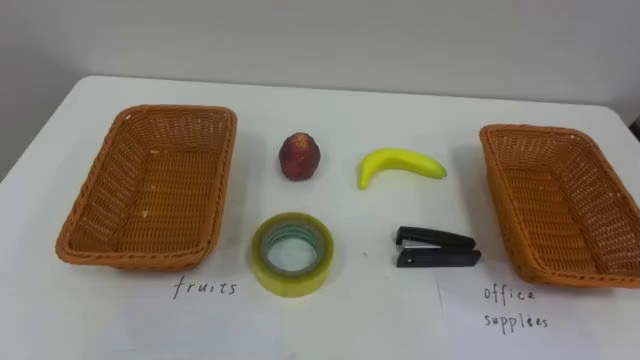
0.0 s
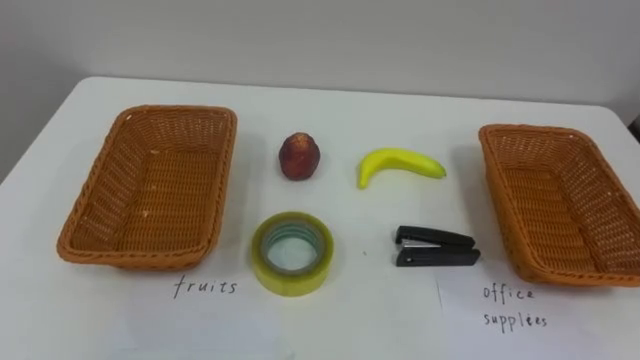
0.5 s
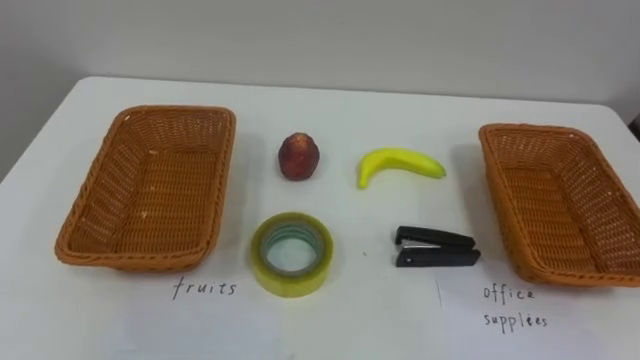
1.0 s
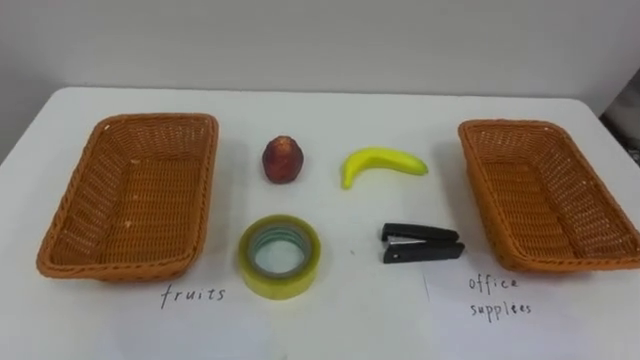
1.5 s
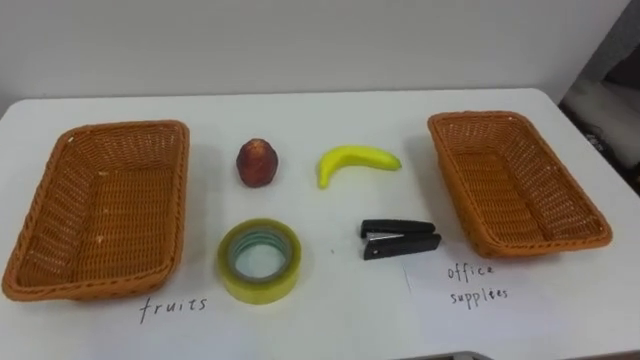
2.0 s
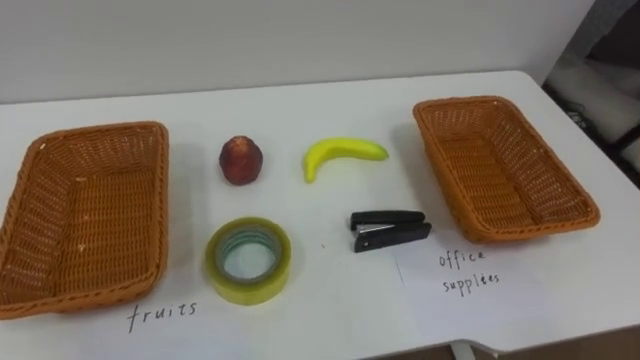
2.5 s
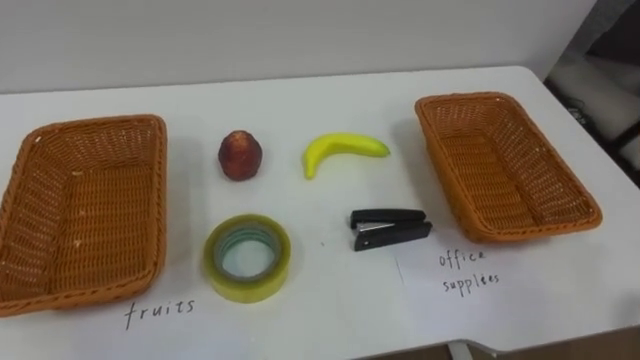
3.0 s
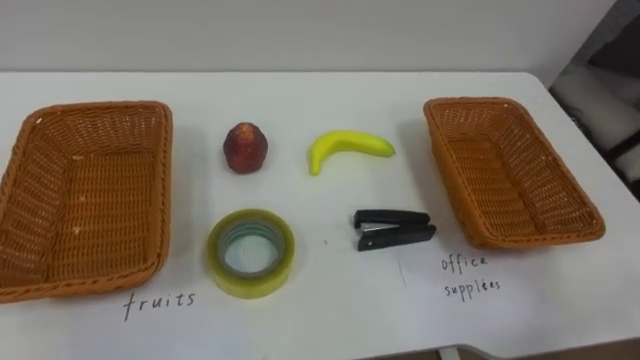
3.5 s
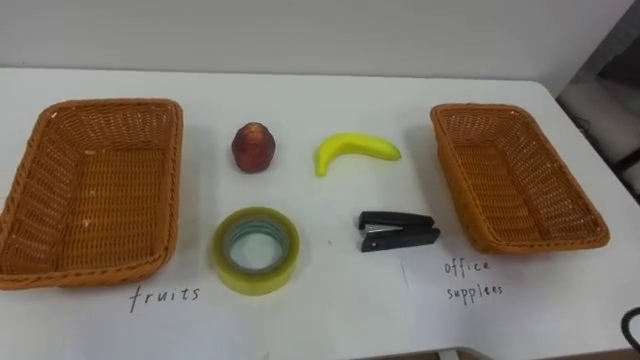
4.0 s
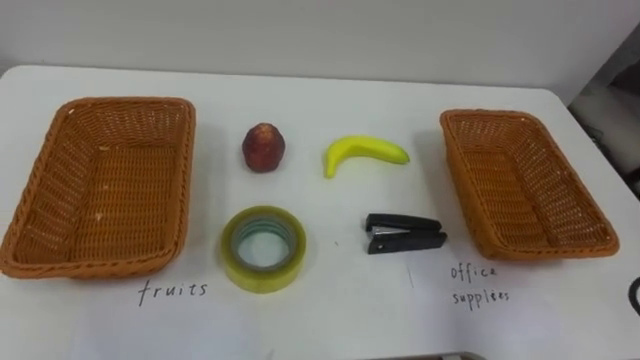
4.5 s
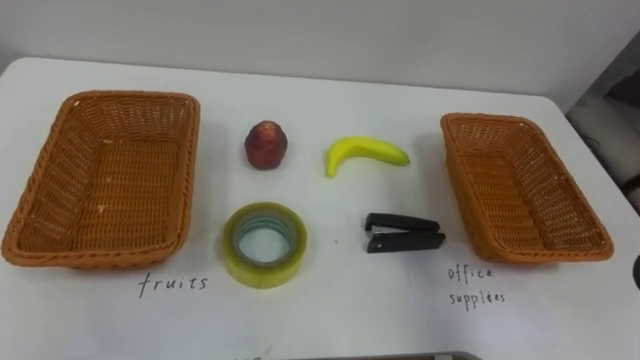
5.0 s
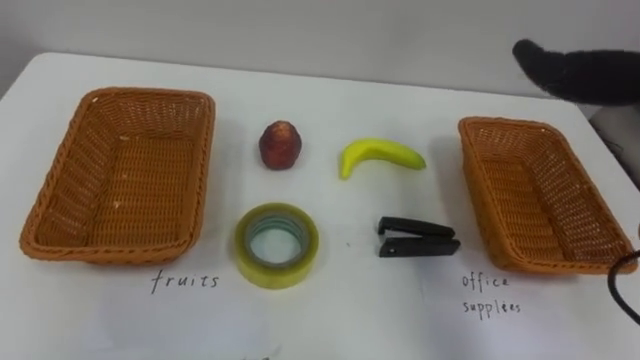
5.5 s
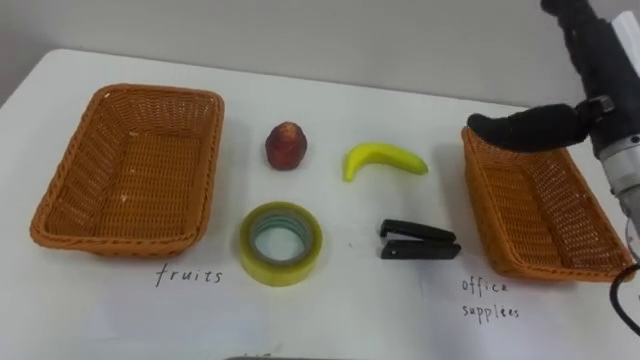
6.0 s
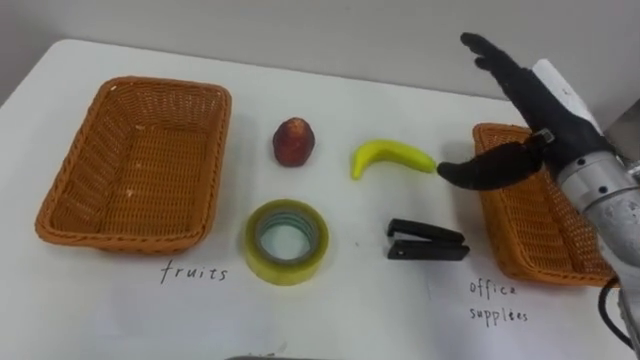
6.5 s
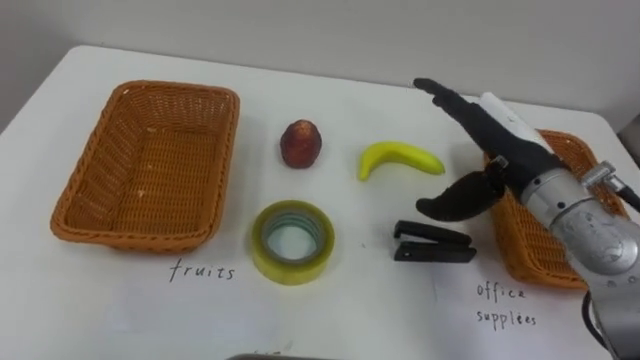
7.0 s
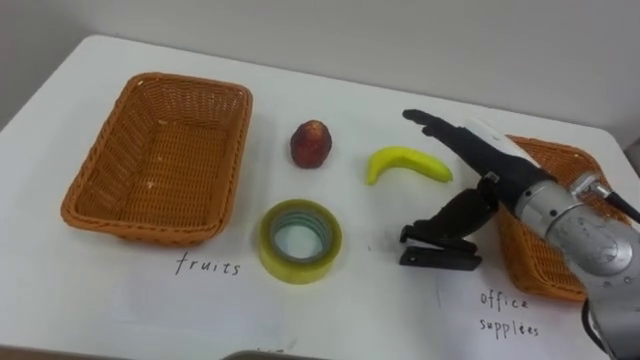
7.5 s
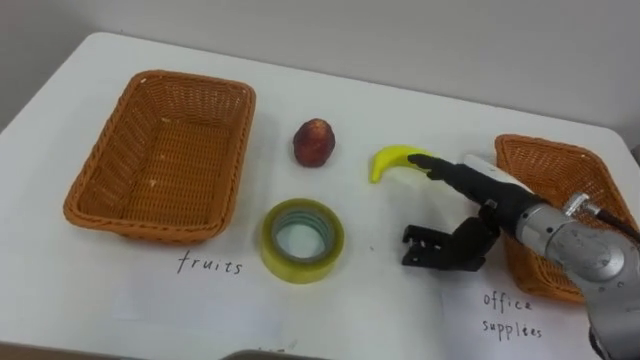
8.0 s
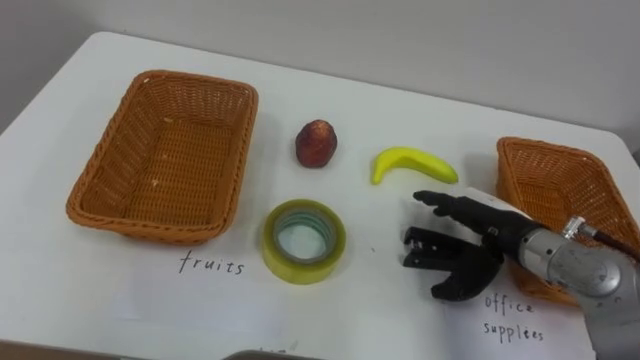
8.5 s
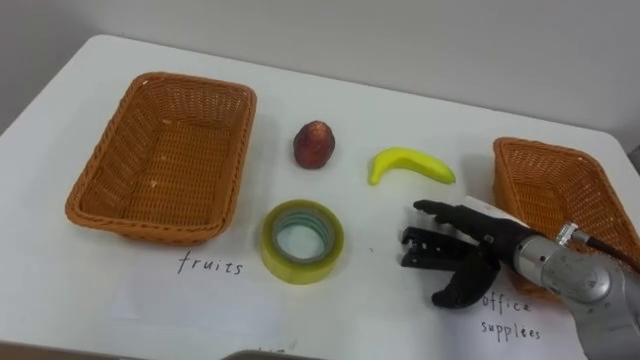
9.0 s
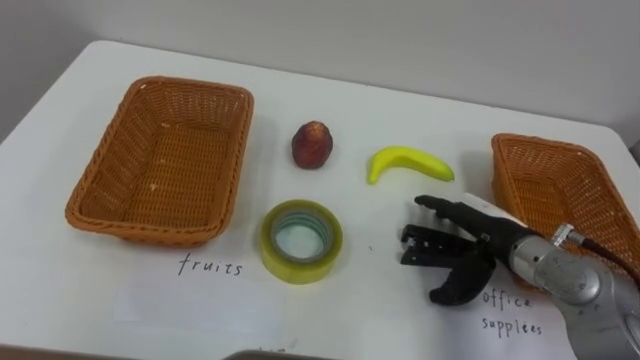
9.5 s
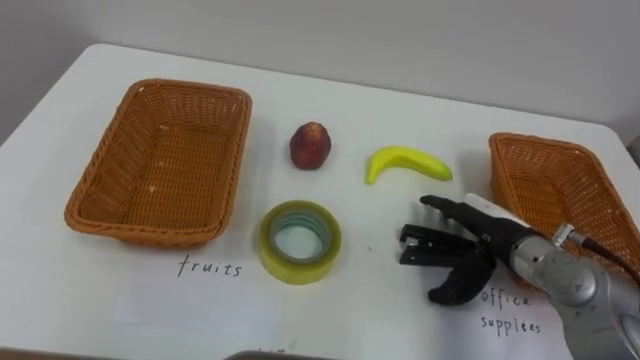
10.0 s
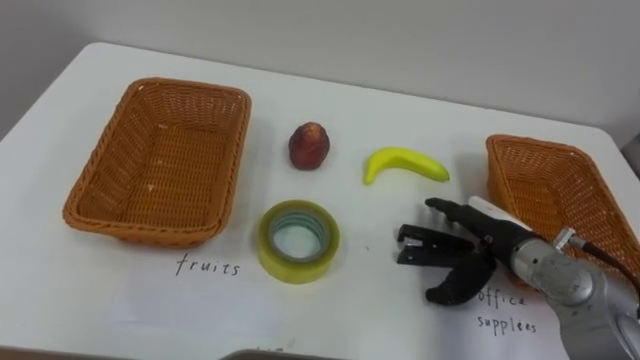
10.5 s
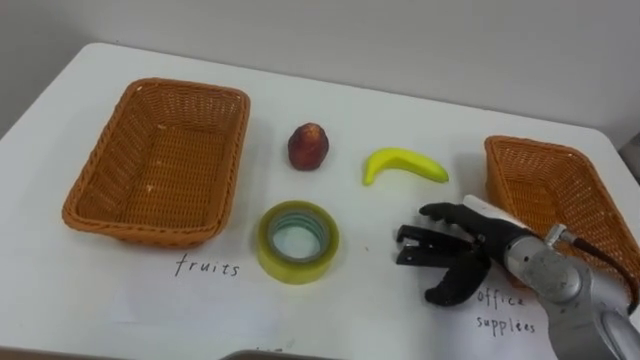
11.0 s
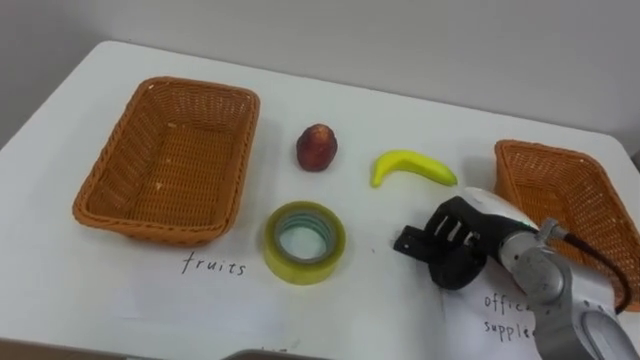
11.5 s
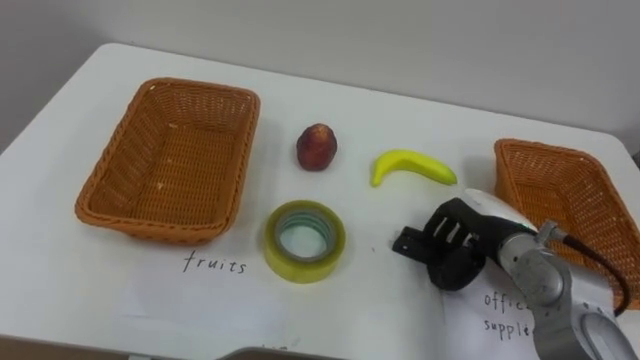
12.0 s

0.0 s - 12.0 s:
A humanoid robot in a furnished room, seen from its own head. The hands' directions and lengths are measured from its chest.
Task of the whole recording: Separate the items on the table and place them into the two baskets.
6.0 s - 8.0 s: The right hand shifts approximately 15 cm downward.
8.0 s - 10.0 s: The right hand travels downward by about 5 cm.
10.0 s - 12.0 s: The right hand closes its fingers.

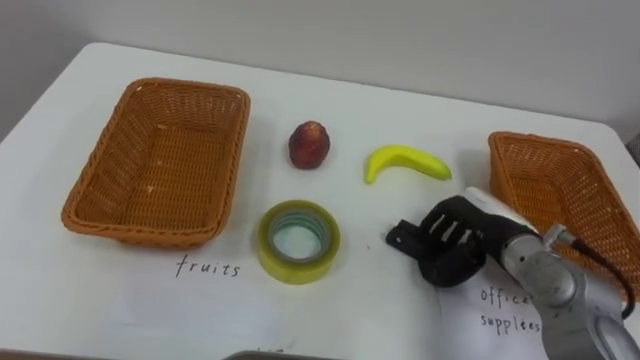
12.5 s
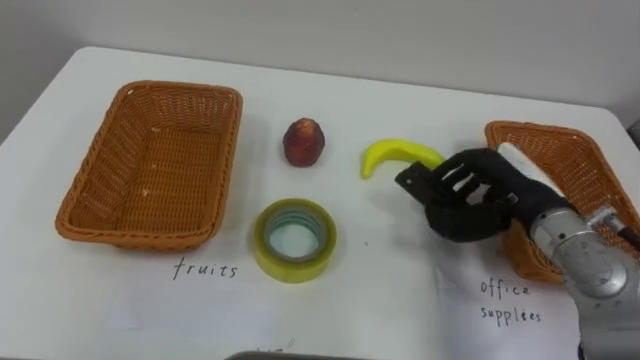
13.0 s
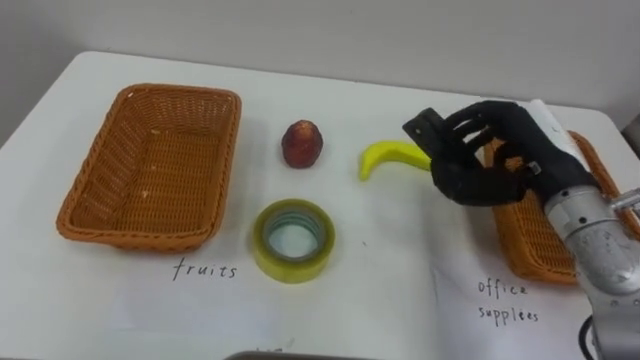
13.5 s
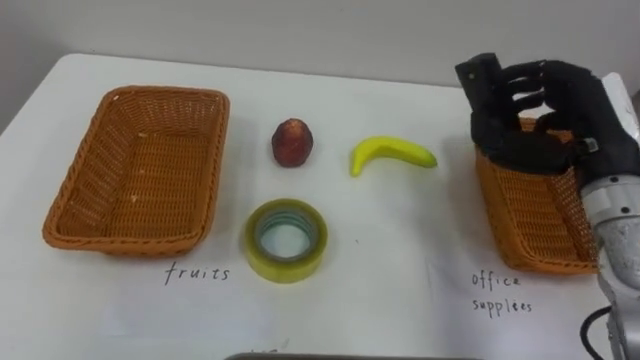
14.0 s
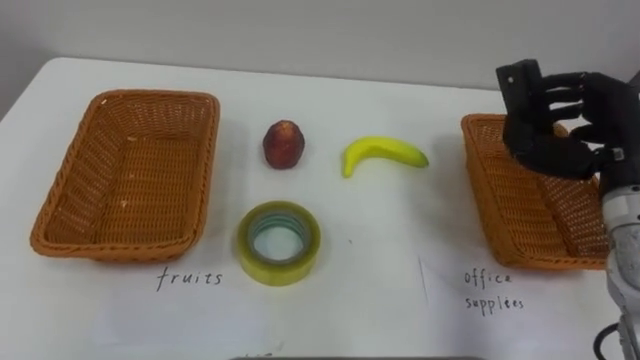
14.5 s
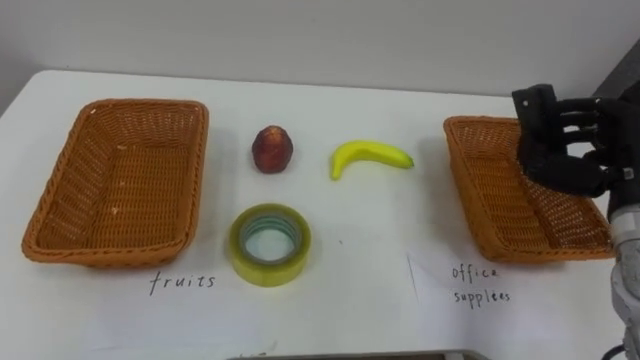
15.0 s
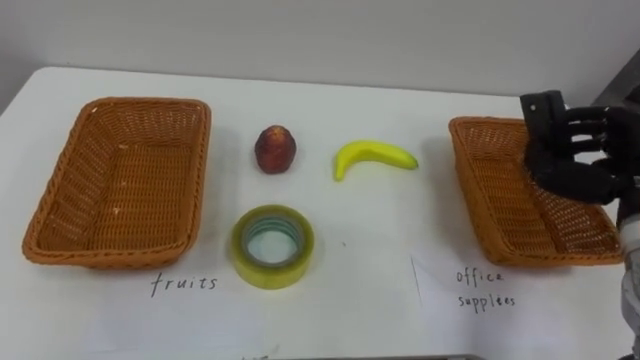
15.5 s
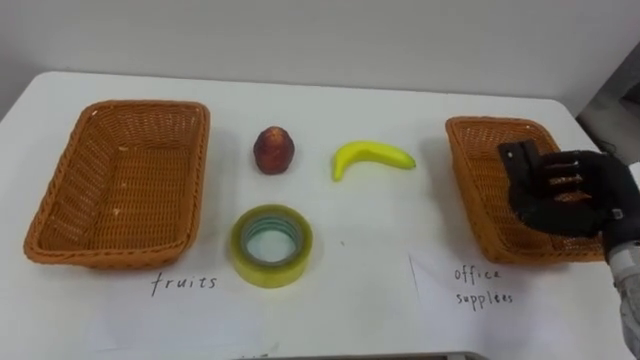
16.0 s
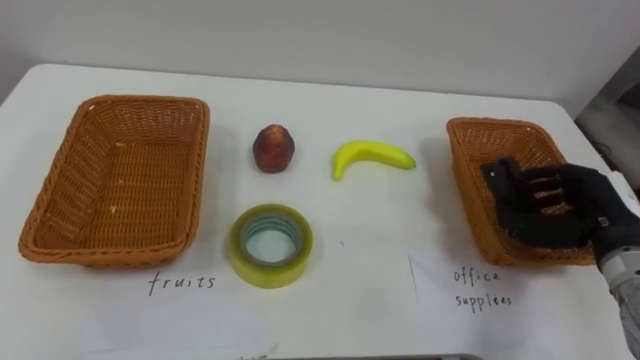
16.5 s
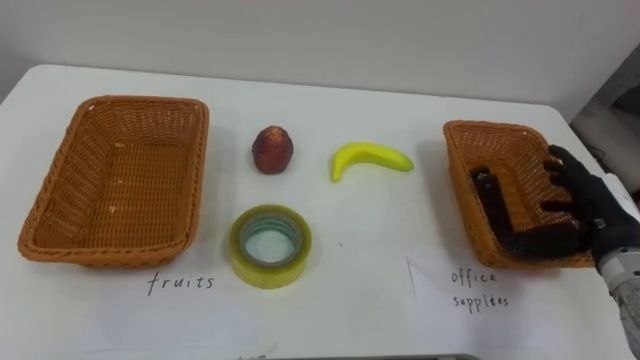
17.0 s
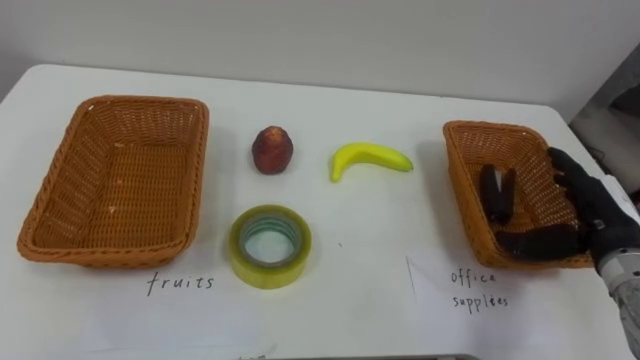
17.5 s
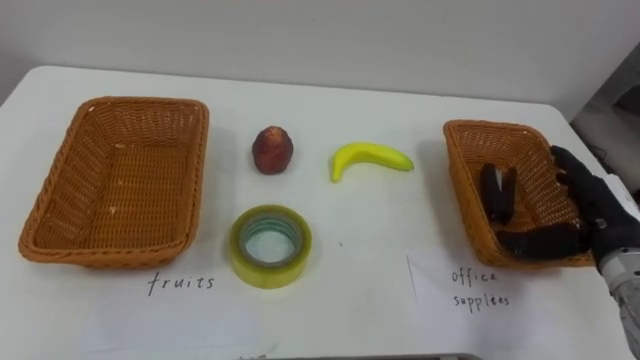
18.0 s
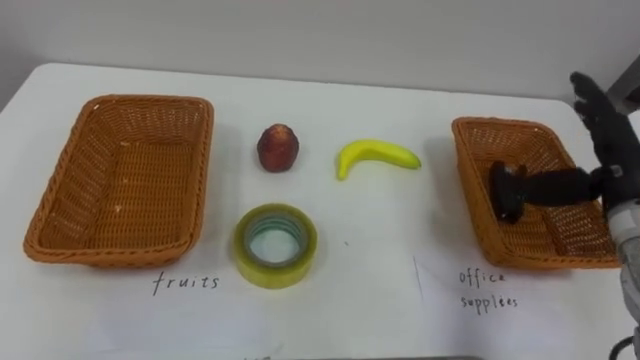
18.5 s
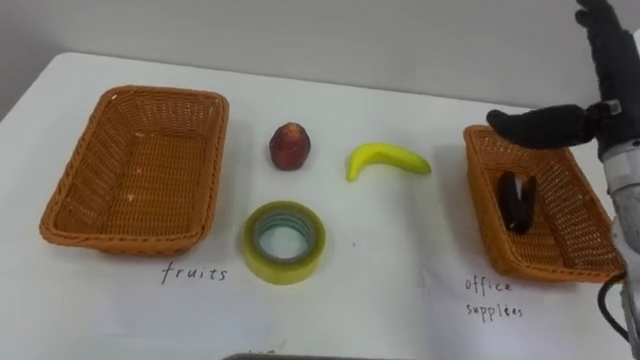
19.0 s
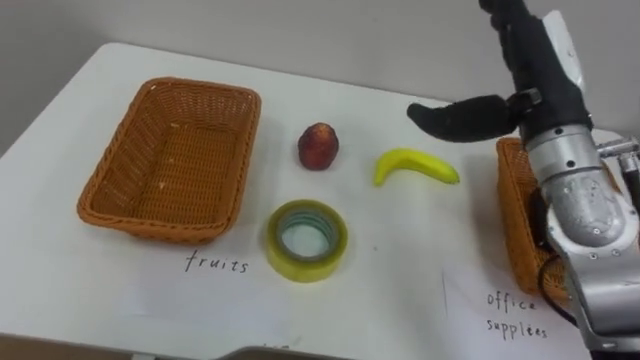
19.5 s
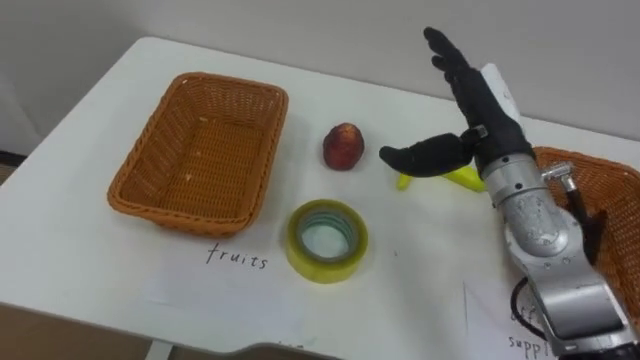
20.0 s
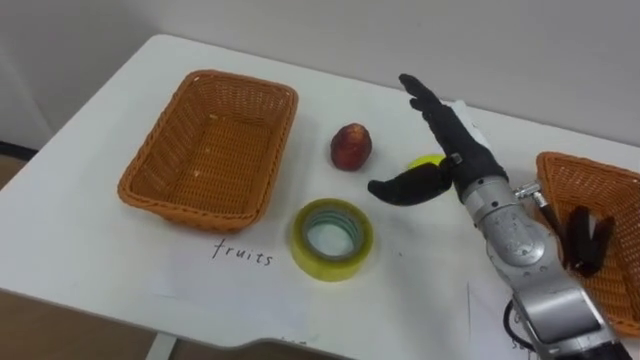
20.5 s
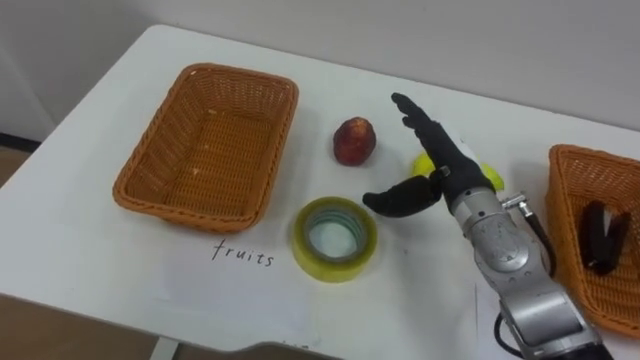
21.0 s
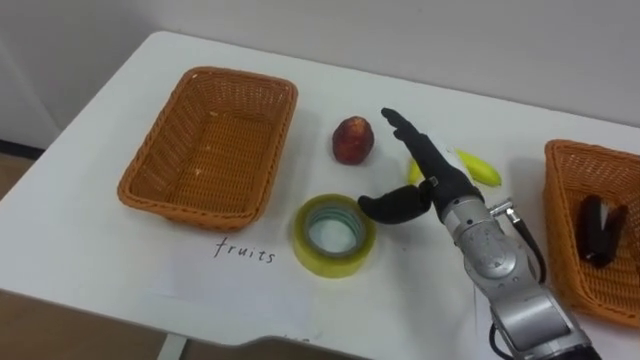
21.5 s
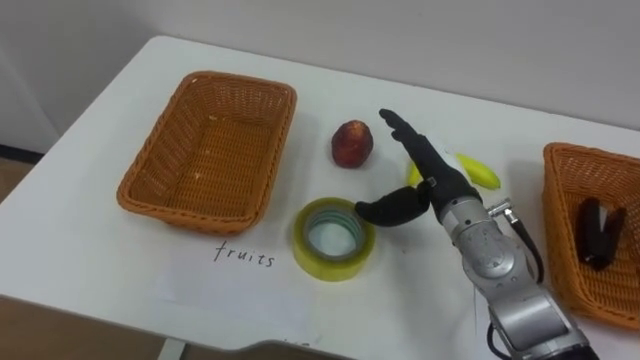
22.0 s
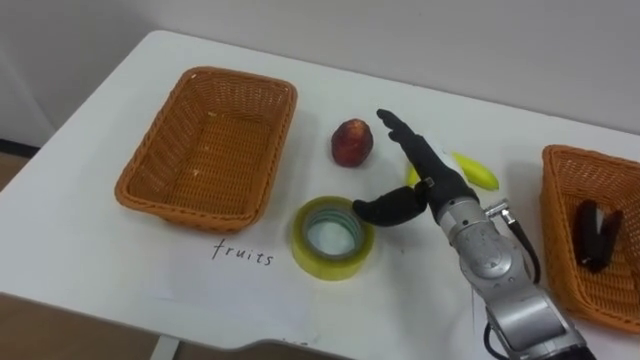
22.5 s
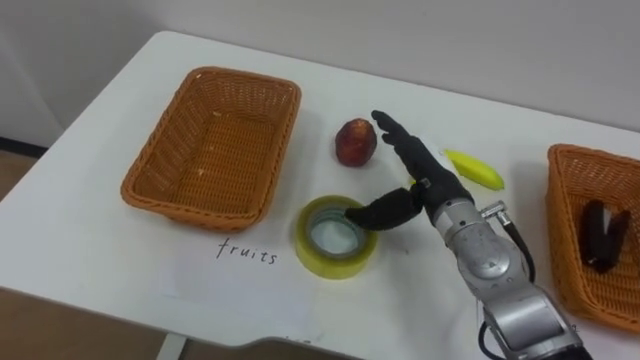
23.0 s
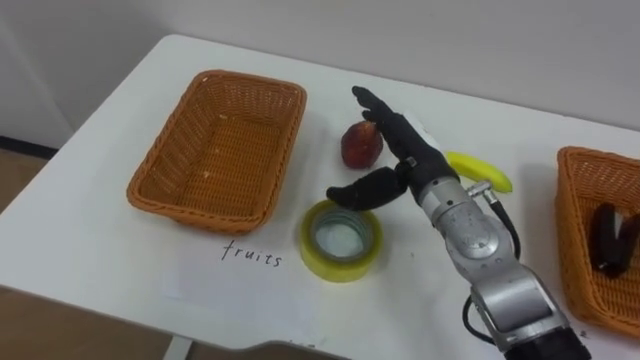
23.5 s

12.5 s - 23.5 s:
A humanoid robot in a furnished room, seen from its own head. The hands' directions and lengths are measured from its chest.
Task of the whole recording: Separate the items on the table and place them into the two baskets.
12.5 s - 14.5 s: The right hand shifts some 15 cm upward and to the right.
14.5 s - 16.0 s: The right hand heads downward, covering some 5 cm.
16.0 s - 18.0 s: The right hand opens.
18.0 s - 20.0 s: The right hand goes about 20 cm to the left, upward and forward.
20.0 s - 21.5 s: The right hand moves downward, approximately 10 cm.
